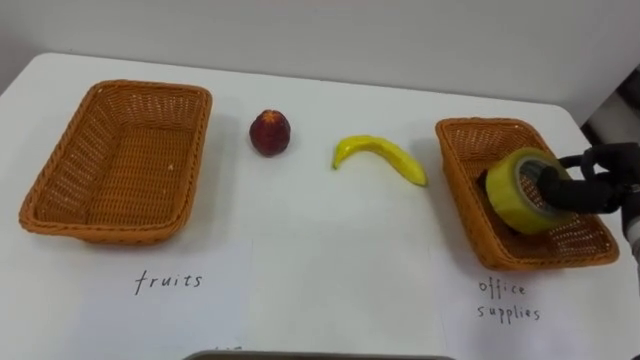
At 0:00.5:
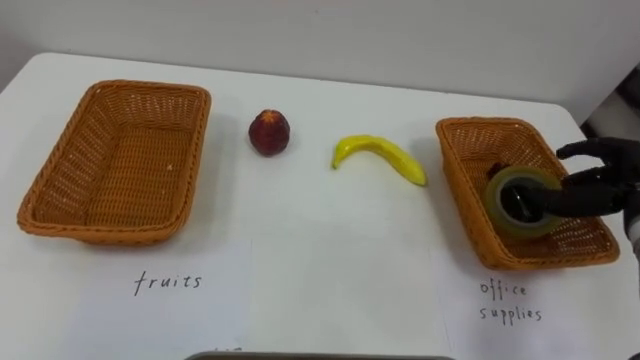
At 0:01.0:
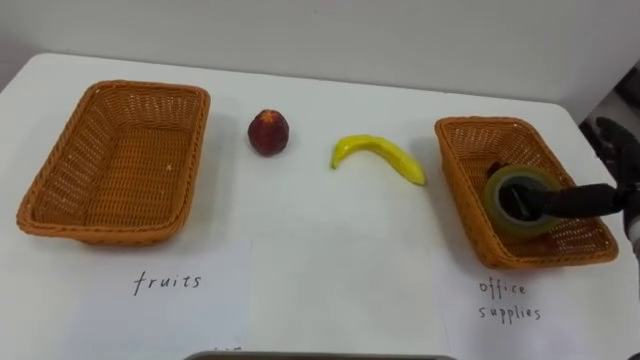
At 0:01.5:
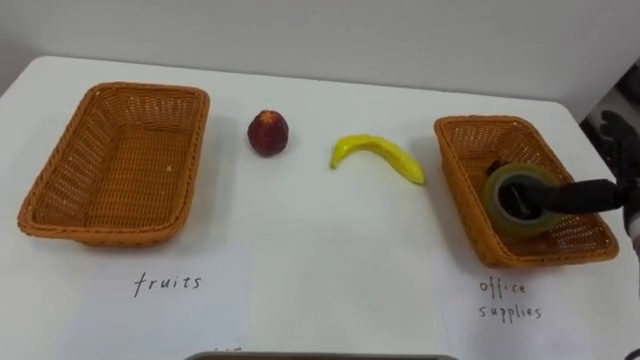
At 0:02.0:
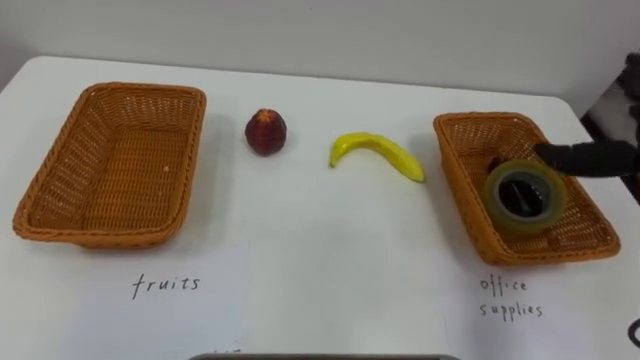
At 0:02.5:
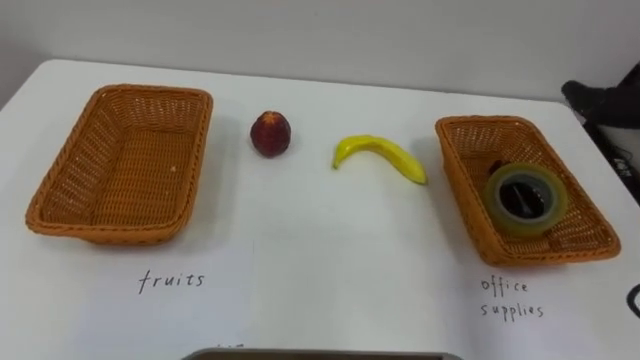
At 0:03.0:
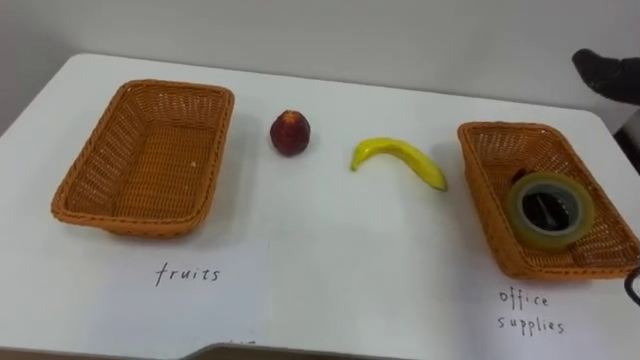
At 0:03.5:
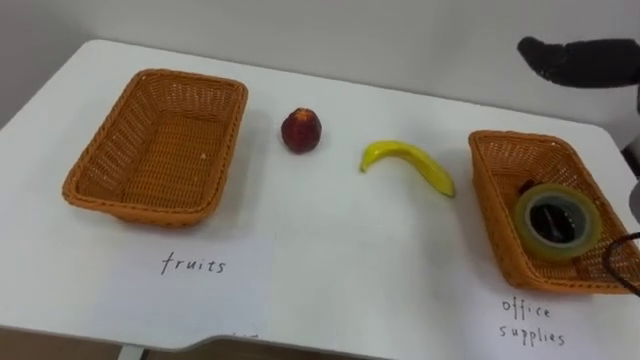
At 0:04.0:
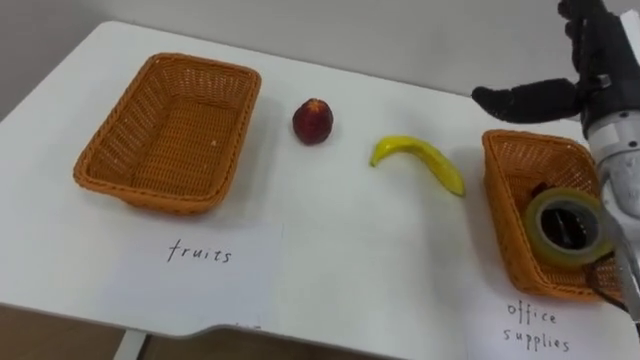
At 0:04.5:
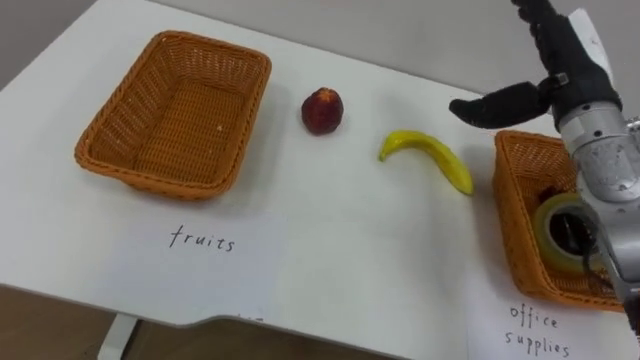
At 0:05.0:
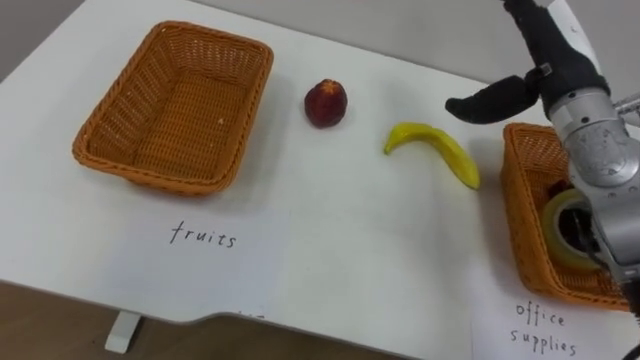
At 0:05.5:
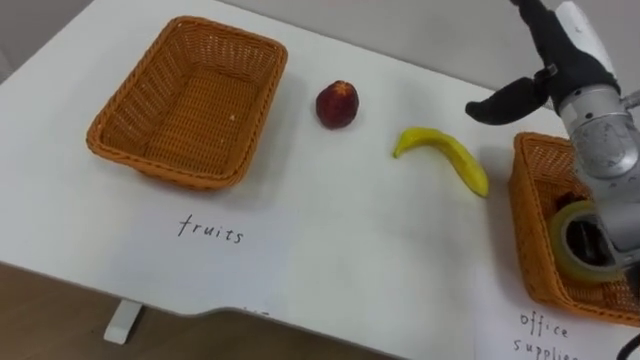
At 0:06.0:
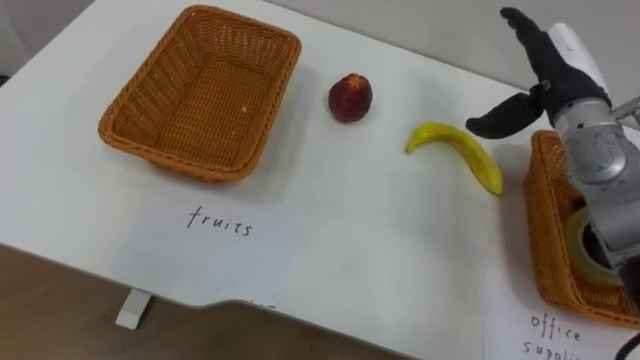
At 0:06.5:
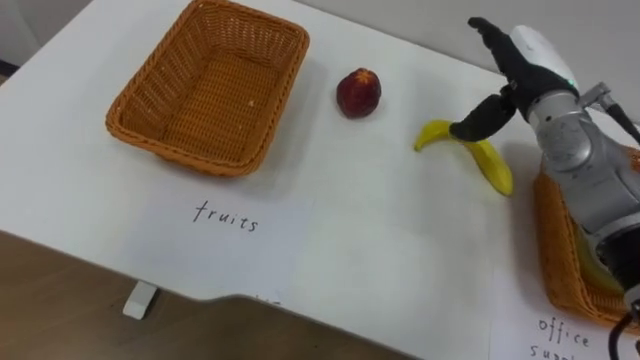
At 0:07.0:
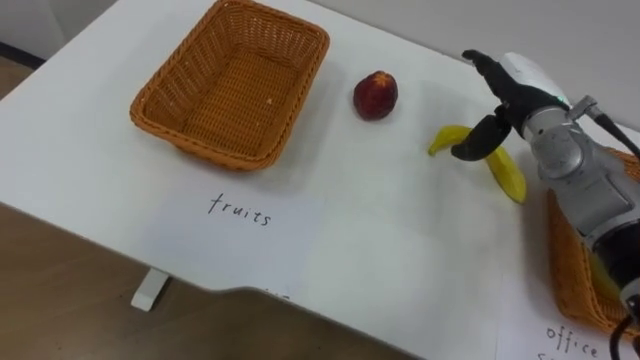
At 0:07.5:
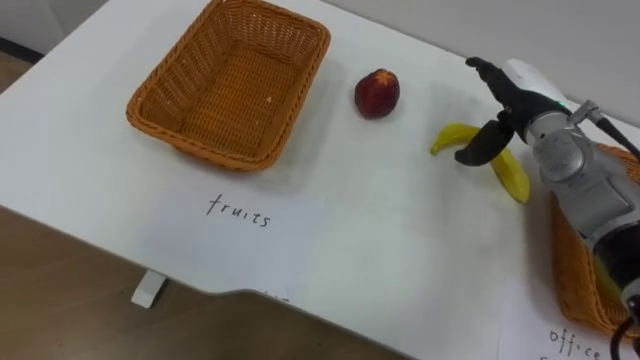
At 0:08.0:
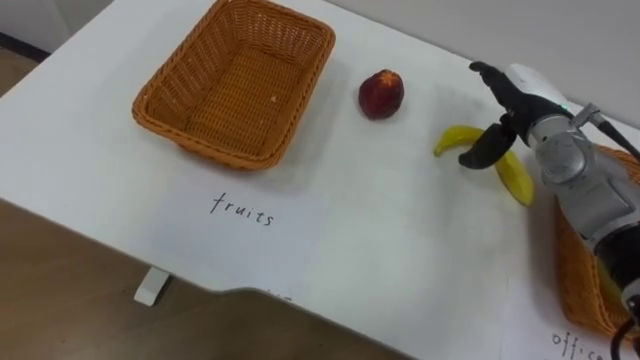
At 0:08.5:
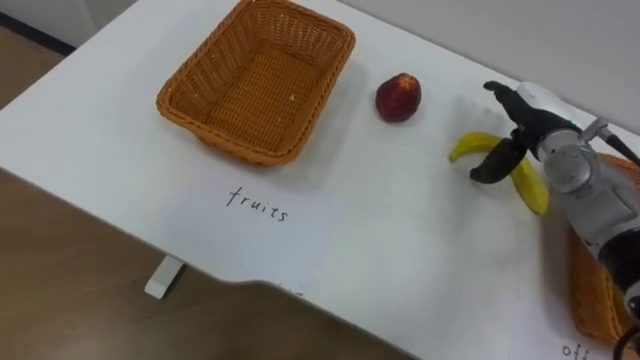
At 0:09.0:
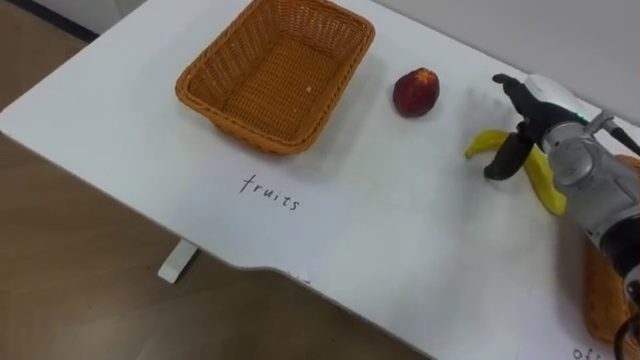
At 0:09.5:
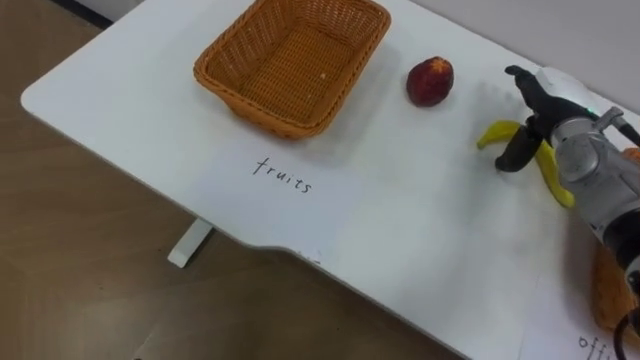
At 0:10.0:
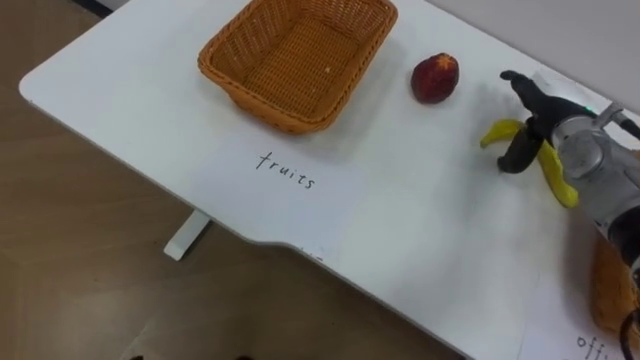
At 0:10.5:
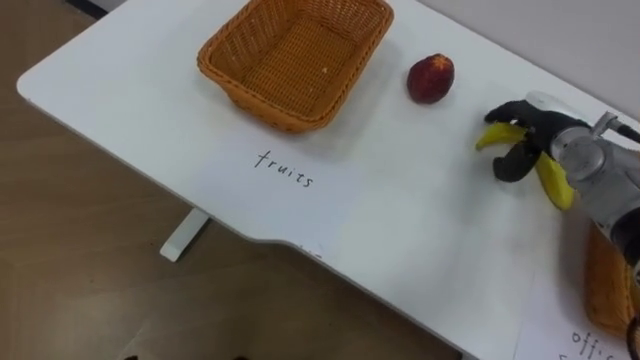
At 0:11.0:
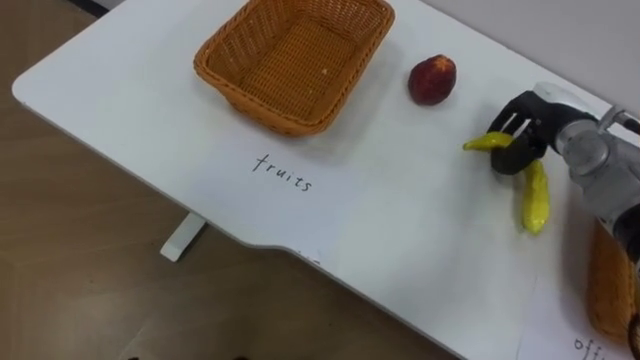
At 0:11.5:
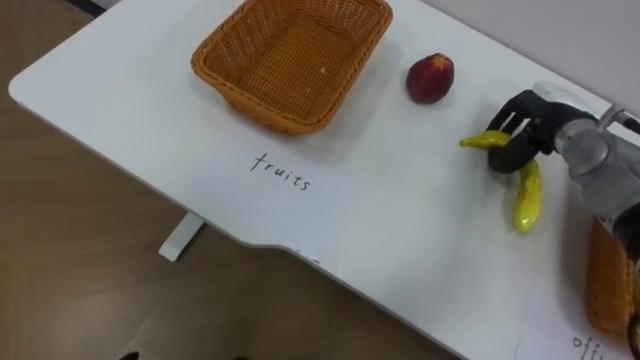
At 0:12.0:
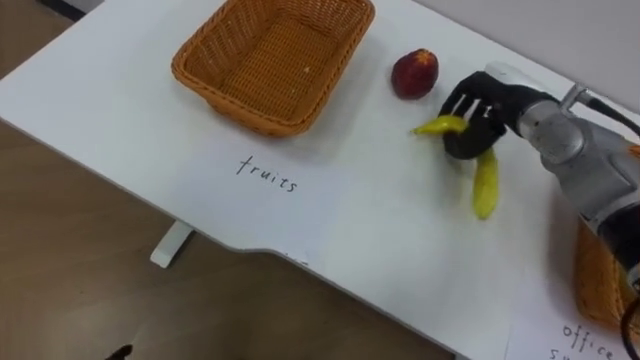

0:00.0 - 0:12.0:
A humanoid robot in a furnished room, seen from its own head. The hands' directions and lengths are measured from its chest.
Task of the whole recording: Separate the items on the table and place them into the two baskets.
0:04.0 - 0:06.0: The right hand ends up about 5 cm from where it was.
0:06.0 - 0:08.0: The right hand goes some 5 cm downward.
0:10.0 - 0:12.0: The right hand is displaced to the left by about 5 cm, and closes its fingers.

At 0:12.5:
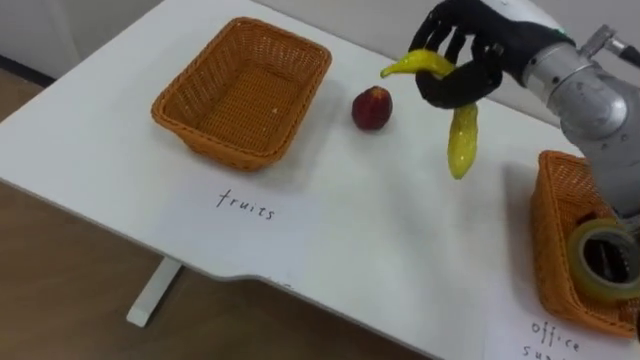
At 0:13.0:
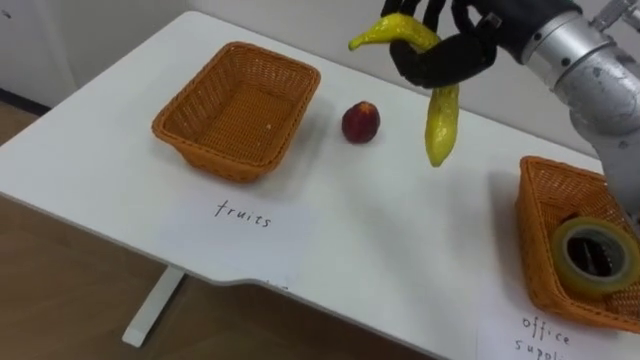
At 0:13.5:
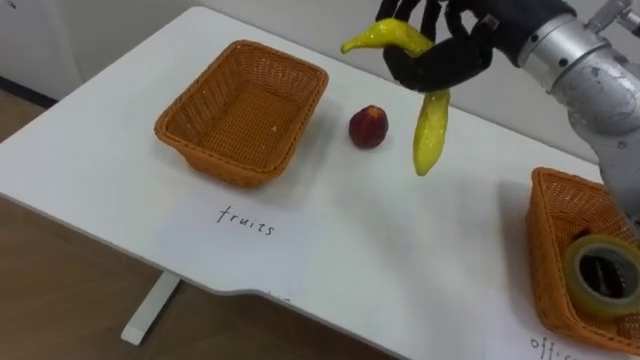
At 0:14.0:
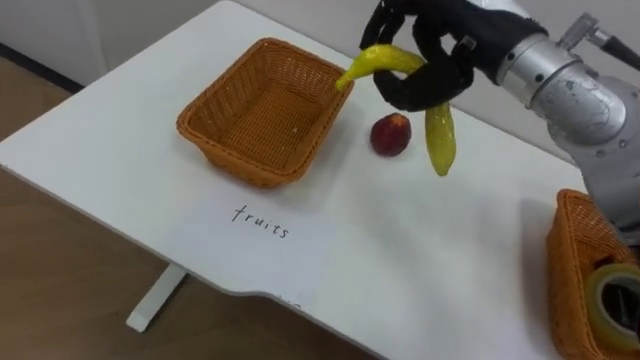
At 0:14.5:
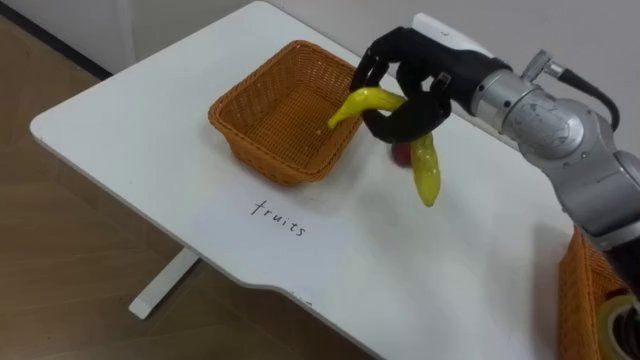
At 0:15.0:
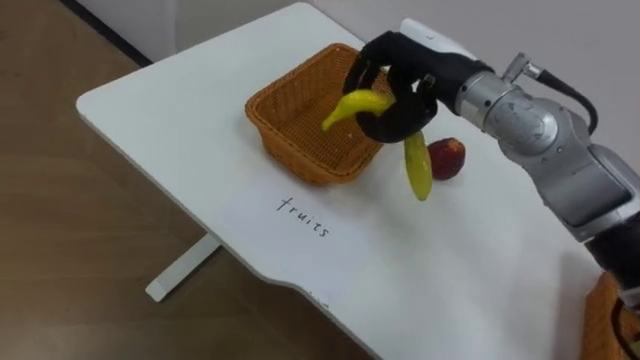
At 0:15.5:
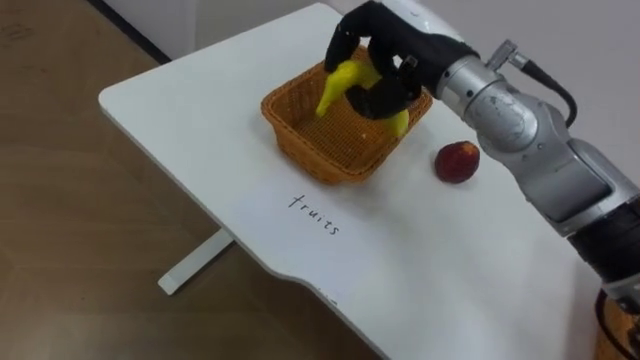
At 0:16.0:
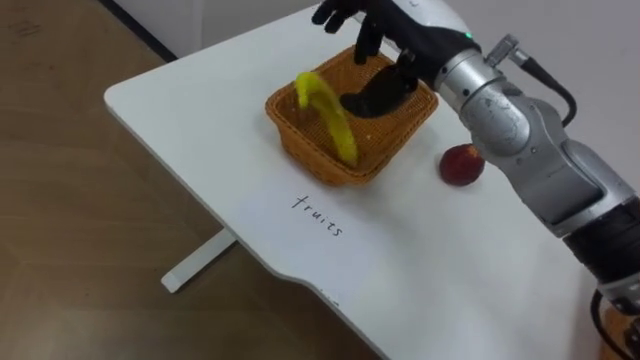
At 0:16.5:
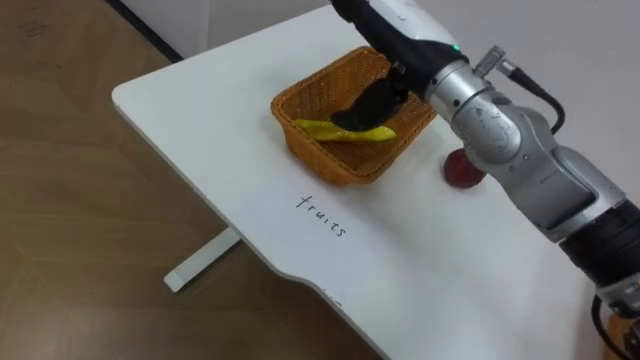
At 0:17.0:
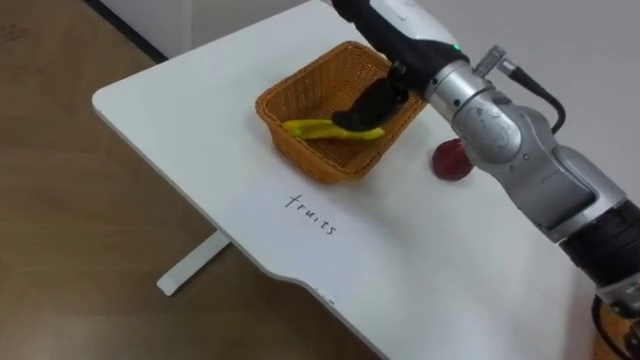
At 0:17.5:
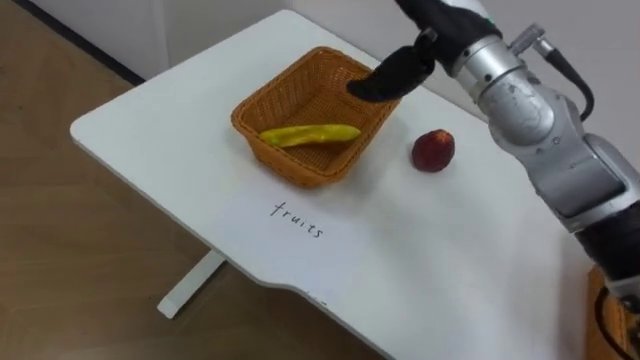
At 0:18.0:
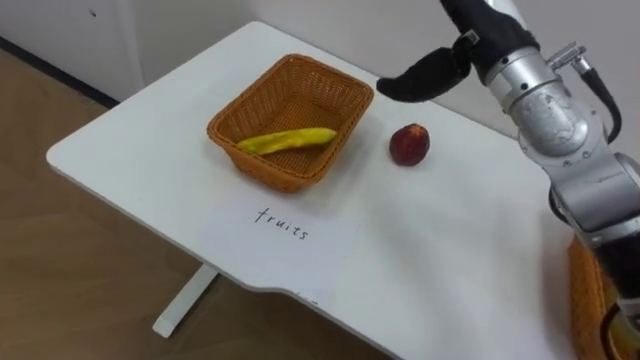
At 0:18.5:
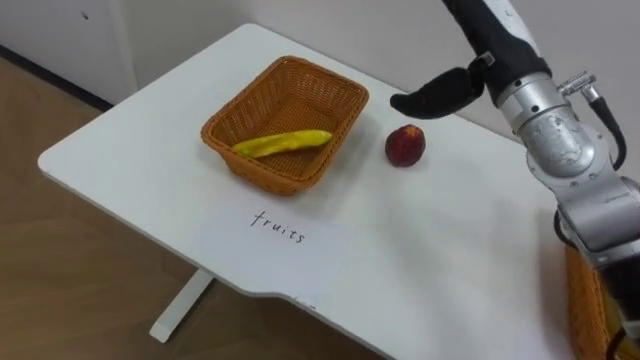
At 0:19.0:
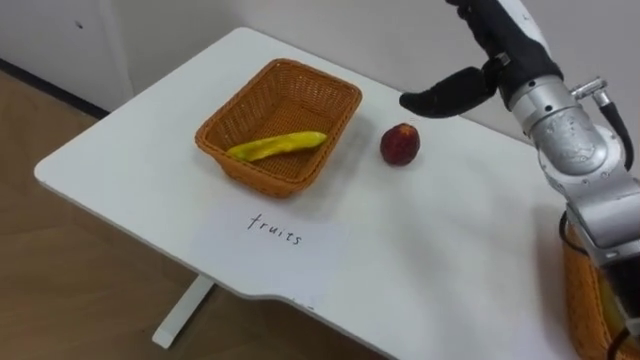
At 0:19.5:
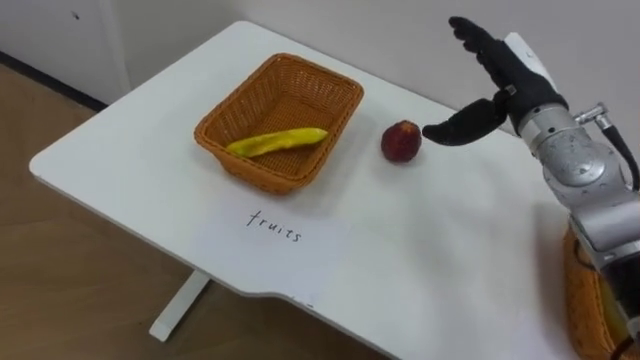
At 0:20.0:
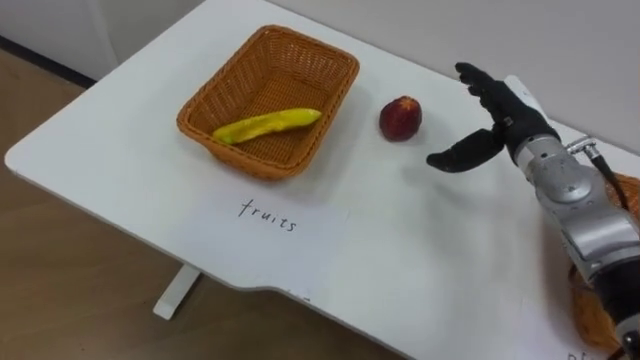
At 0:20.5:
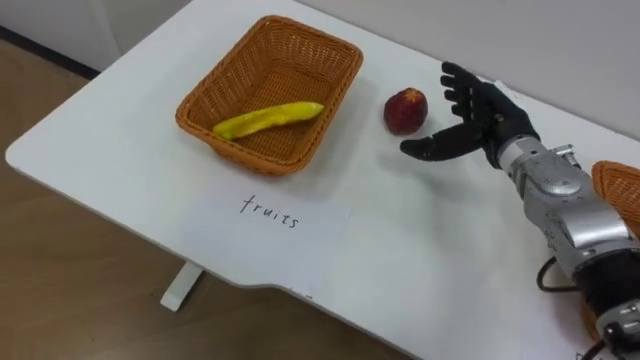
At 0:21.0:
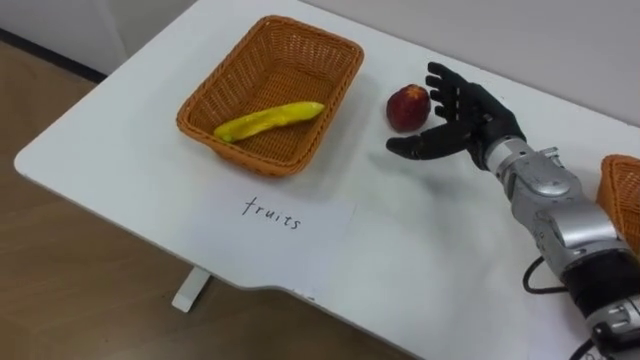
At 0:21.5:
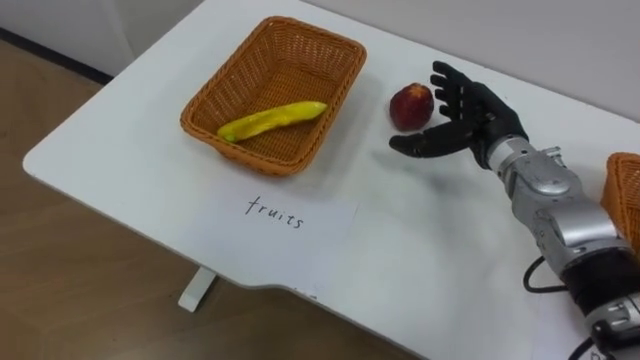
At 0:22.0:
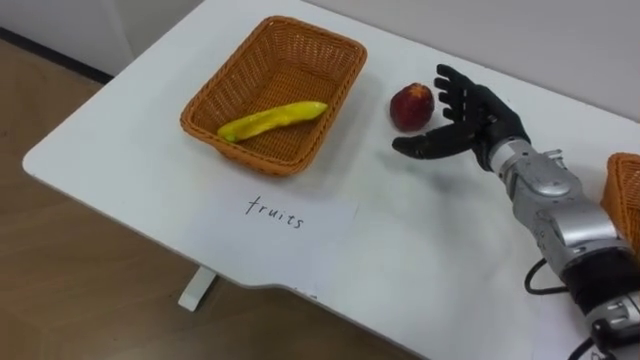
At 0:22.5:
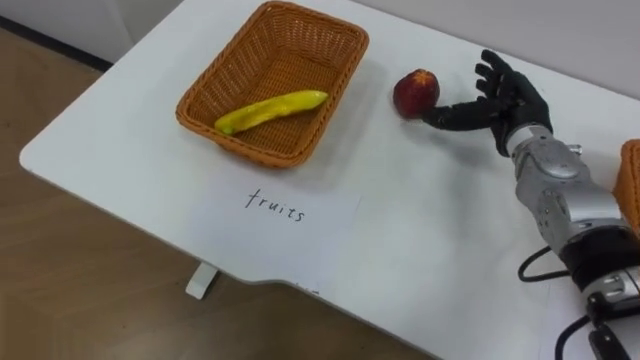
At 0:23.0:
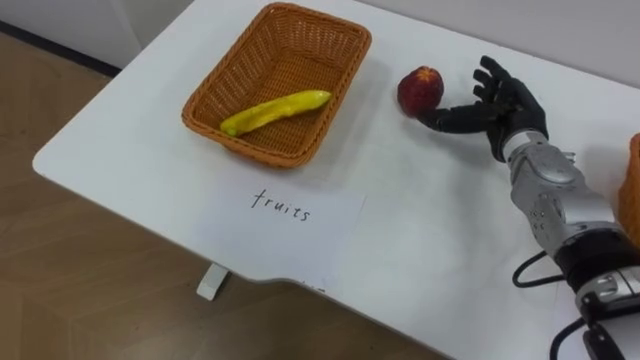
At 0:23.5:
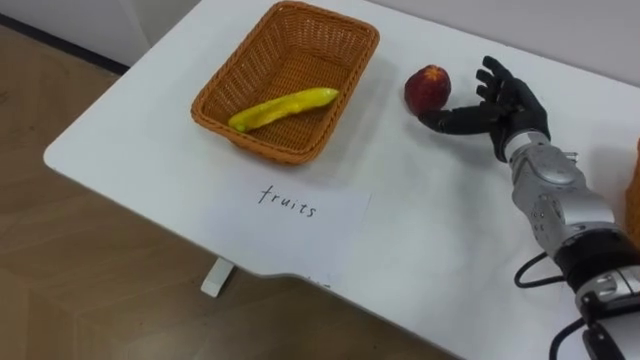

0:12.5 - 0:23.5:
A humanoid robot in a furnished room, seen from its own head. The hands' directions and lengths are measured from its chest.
Task of the whole recording: Separate the items on the table and place them into the two baskets.
0:12.5 - 0:14.5: The right hand shifts some 5 cm to the left.
0:16.0 - 0:18.0: The right hand travels to the right by approximately 5 cm, and opens its fingers.
0:18.0 - 0:20.0: The right hand moves downward and to the right, roughly 15 cm.
